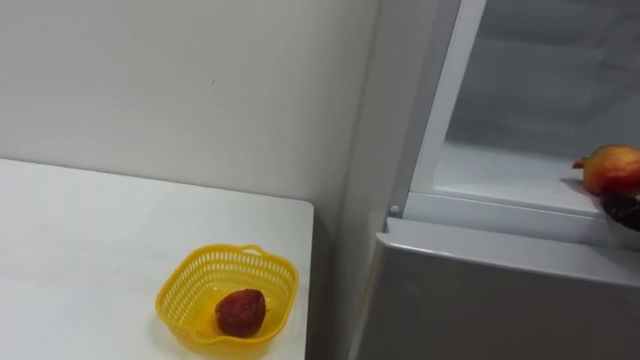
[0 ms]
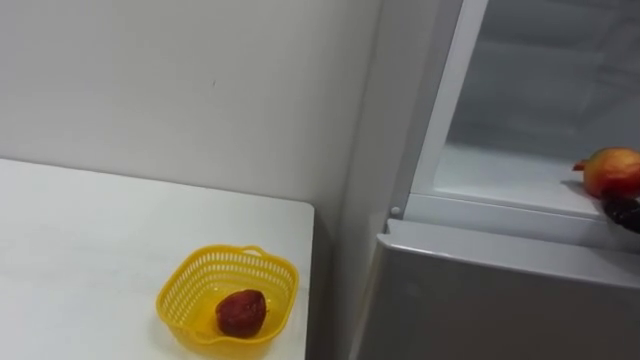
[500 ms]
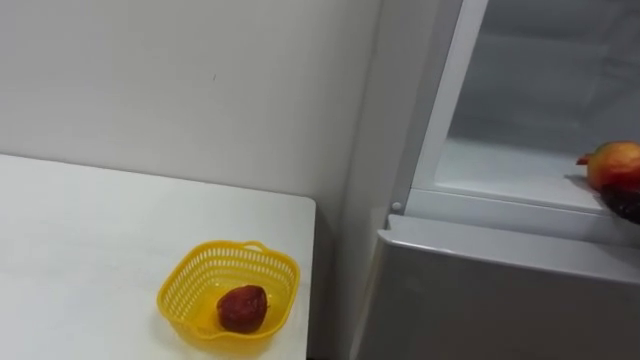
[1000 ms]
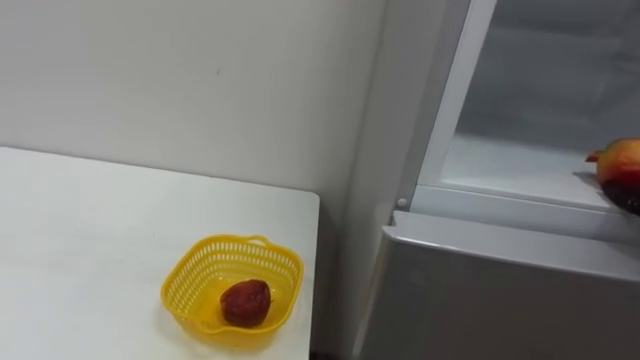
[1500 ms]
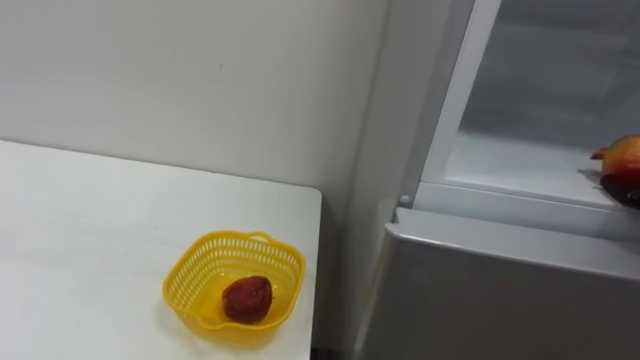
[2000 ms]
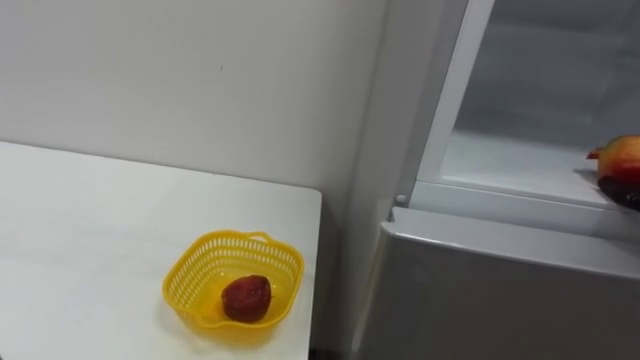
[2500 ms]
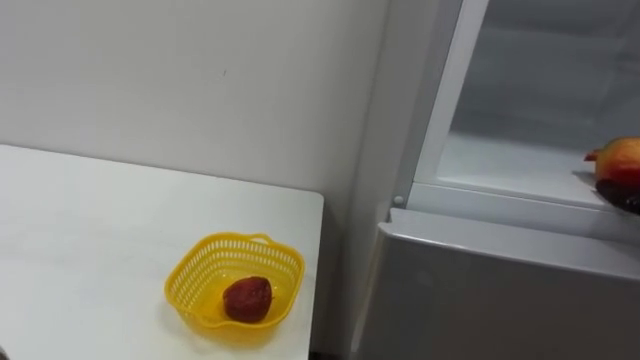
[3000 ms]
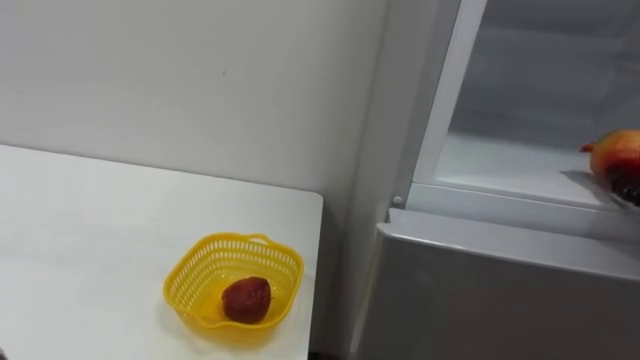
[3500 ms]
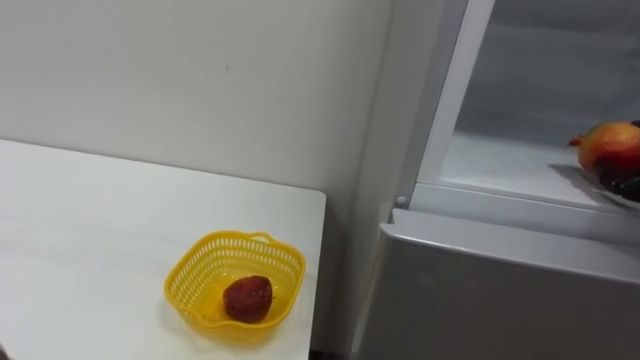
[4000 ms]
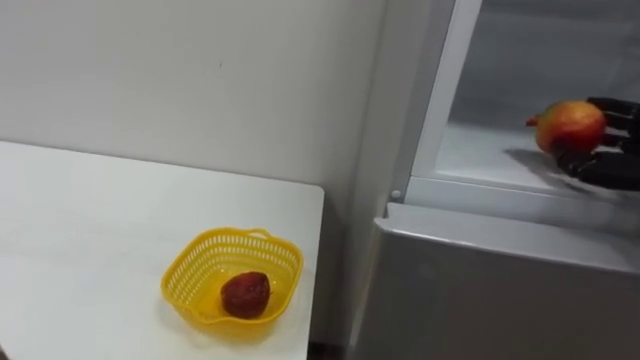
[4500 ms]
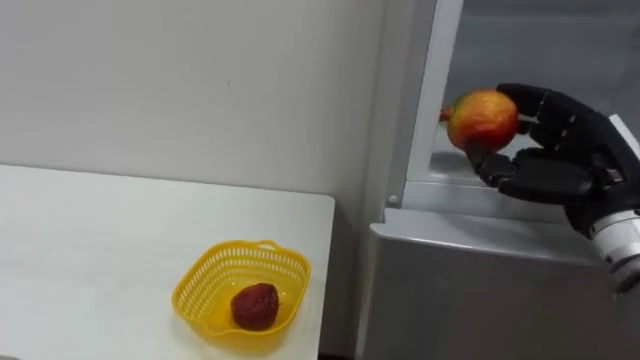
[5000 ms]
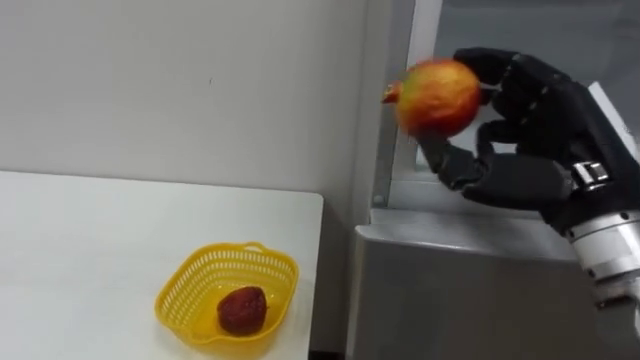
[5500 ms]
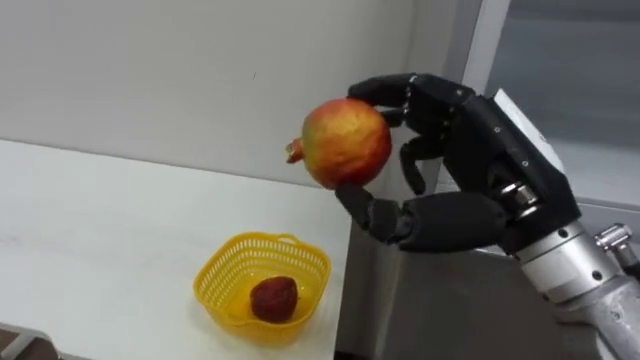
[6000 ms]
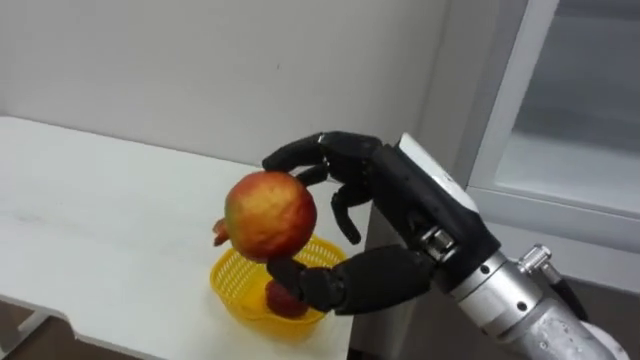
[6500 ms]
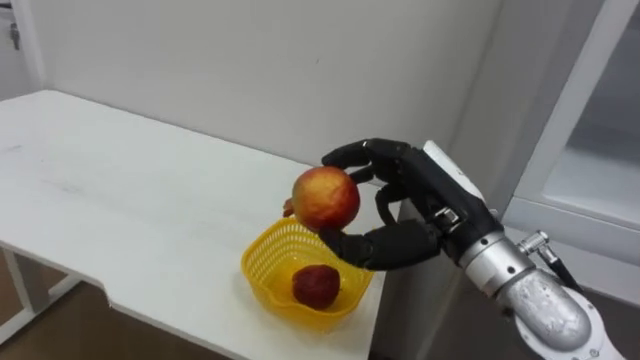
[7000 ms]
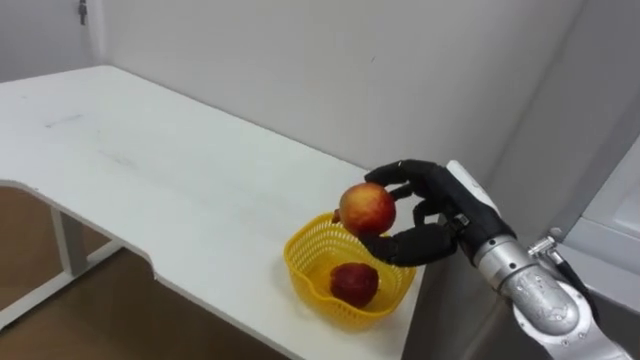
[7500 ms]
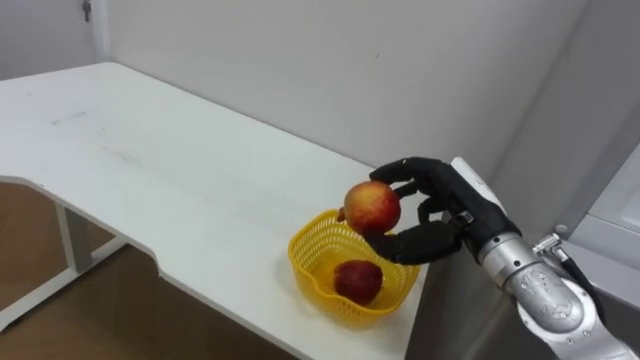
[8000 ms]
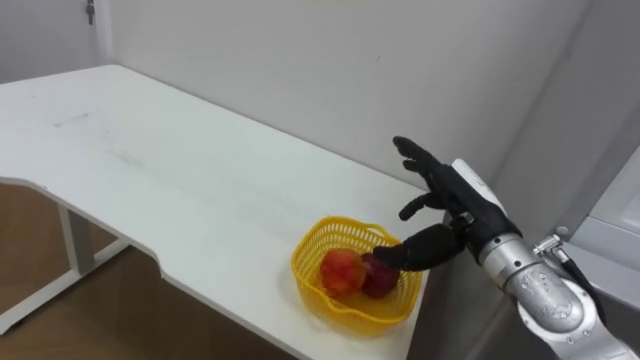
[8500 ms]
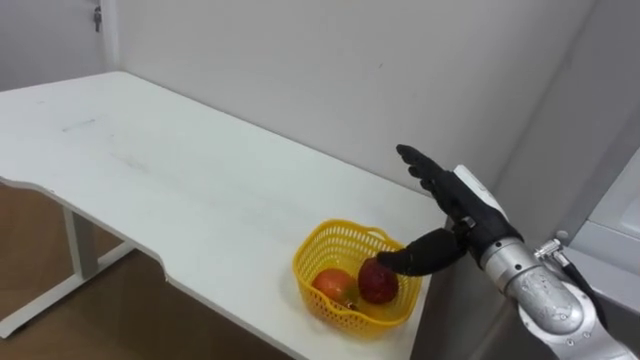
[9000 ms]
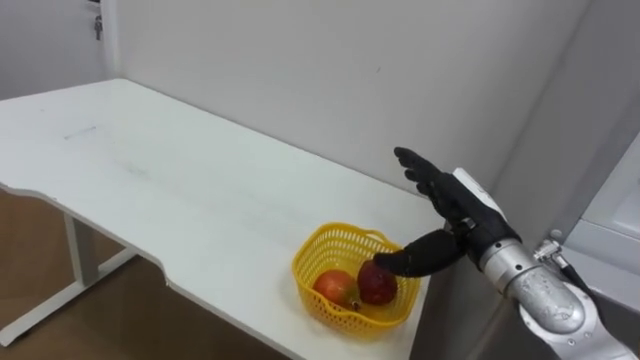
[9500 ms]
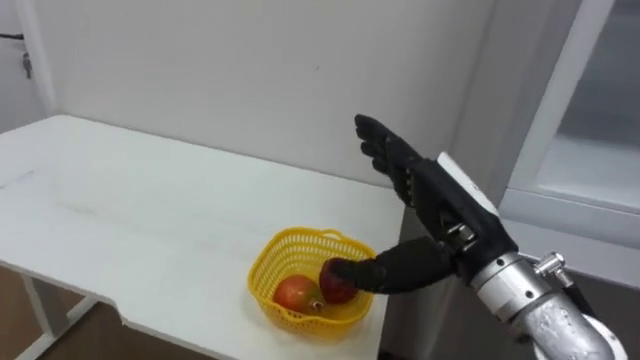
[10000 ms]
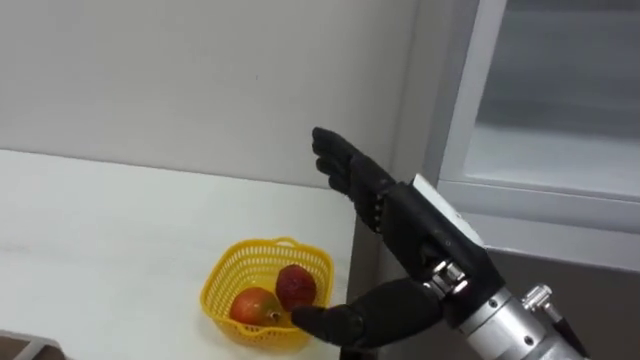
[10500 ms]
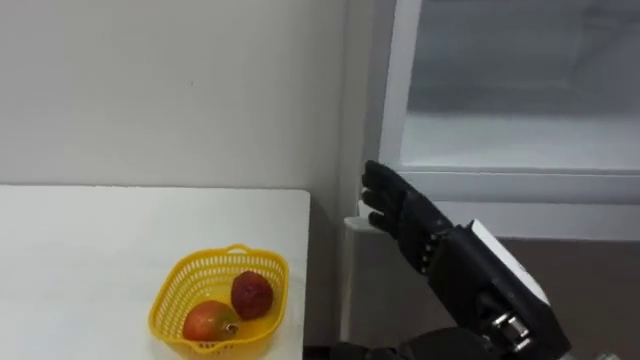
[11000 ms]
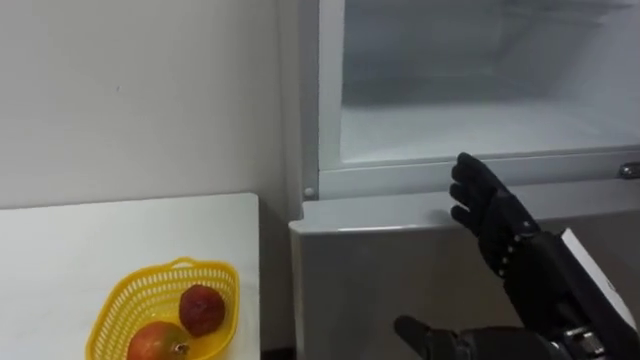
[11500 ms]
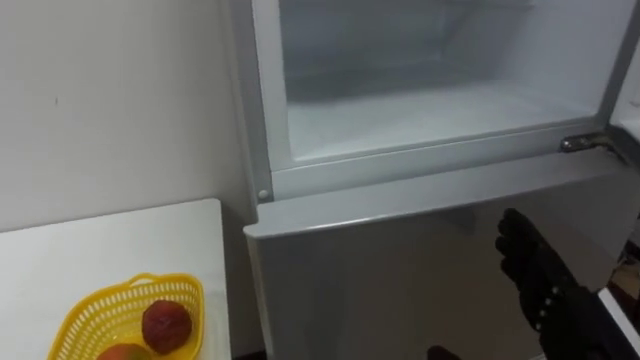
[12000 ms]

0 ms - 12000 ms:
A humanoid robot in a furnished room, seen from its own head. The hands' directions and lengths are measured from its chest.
Task of the whole recording: Open the refrigerator door, take out the apple and the pomegranate, place them in the fruit basket on the left, and close the refrigerator door.
6000 ms - 8000 ms: The right hand moves downward and forward, some 15 cm.
8000 ms - 10000 ms: The right hand moves backward, roughly 5 cm, and opens.
10000 ms - 12000 ms: The right hand heads backward, to the right and downward, covering some 15 cm.

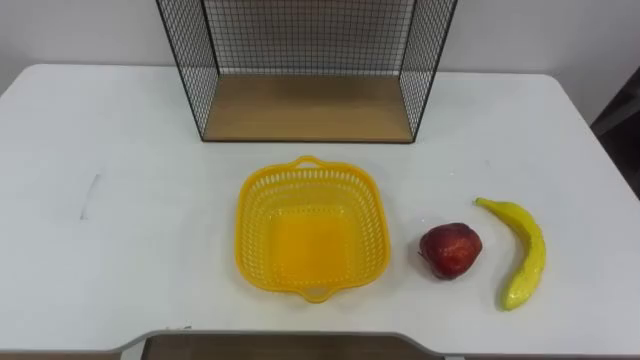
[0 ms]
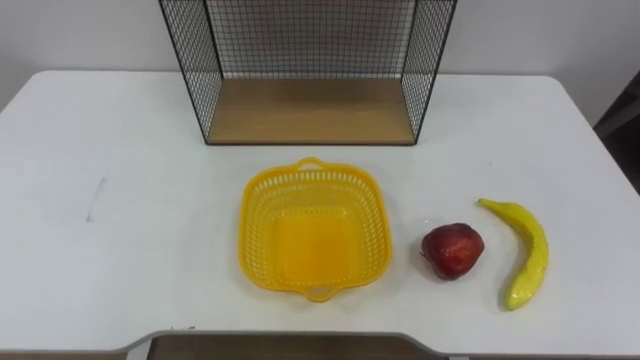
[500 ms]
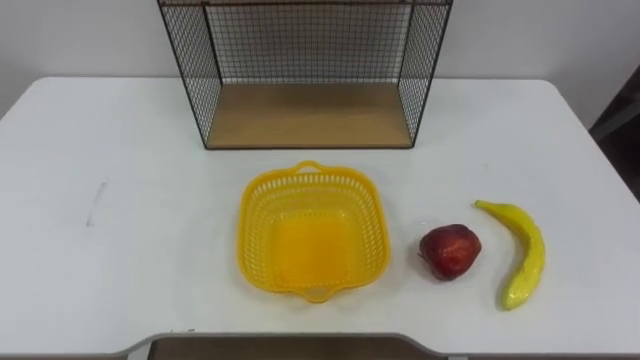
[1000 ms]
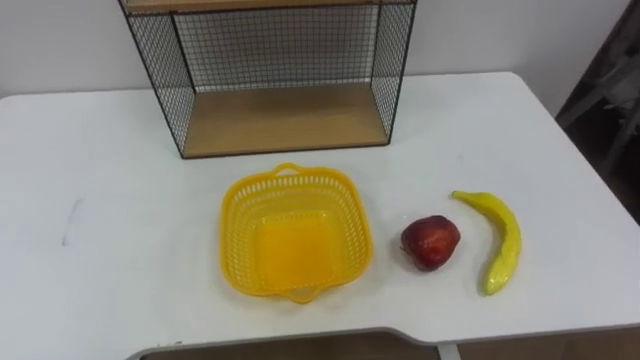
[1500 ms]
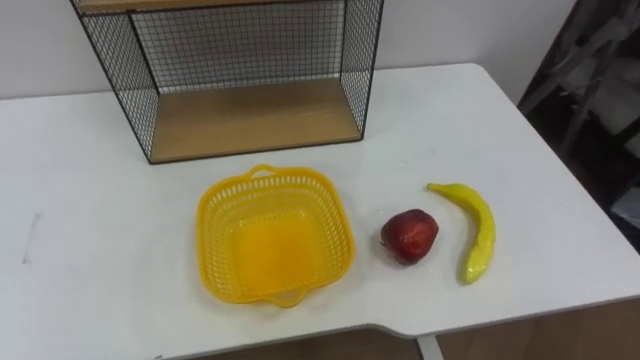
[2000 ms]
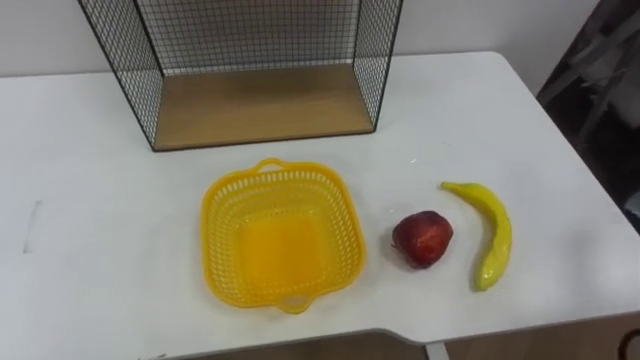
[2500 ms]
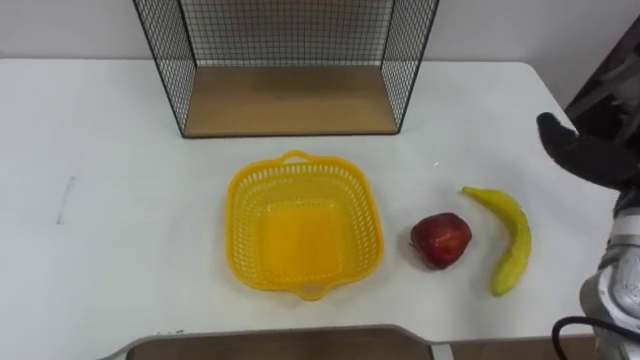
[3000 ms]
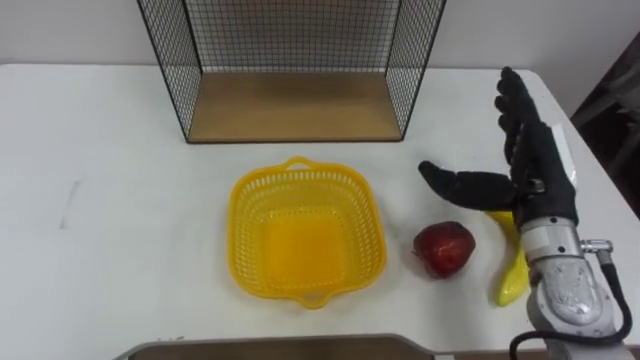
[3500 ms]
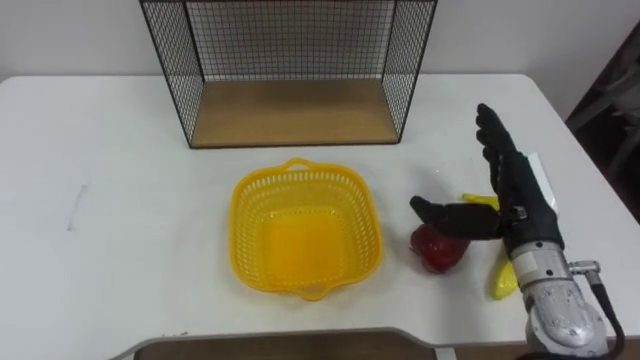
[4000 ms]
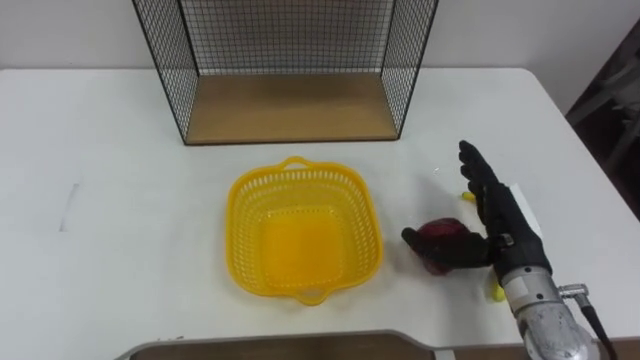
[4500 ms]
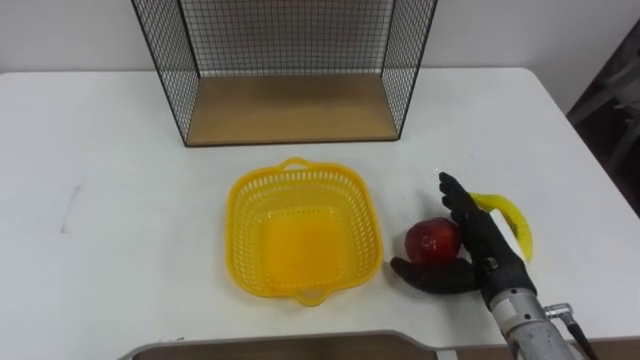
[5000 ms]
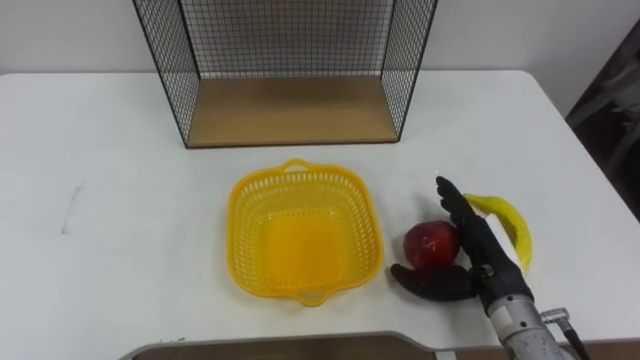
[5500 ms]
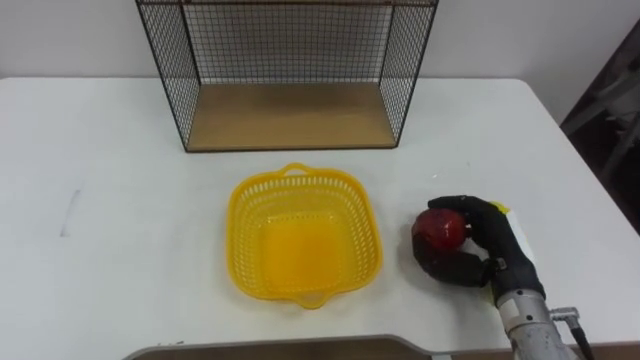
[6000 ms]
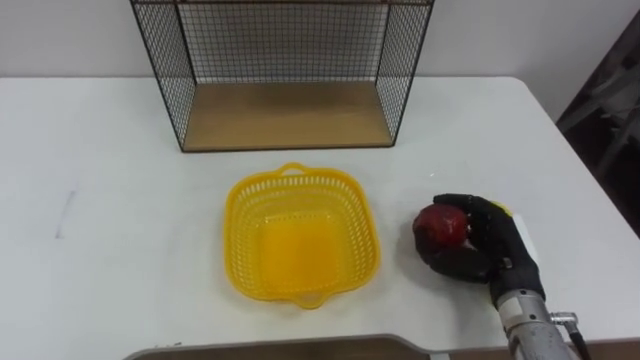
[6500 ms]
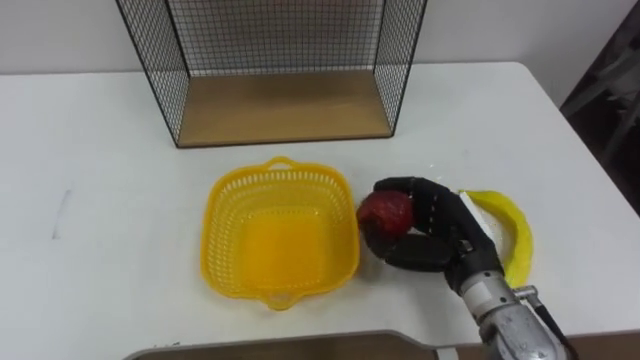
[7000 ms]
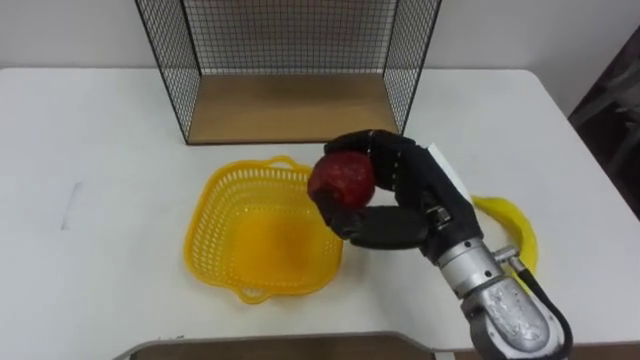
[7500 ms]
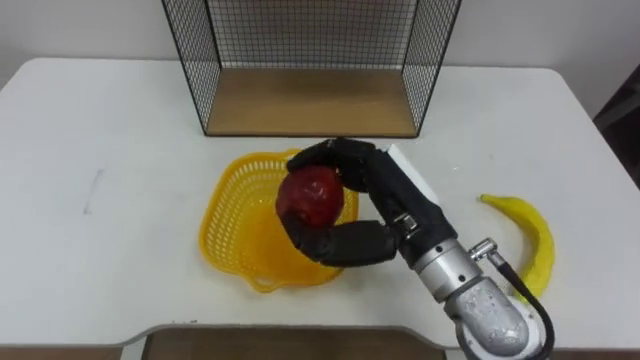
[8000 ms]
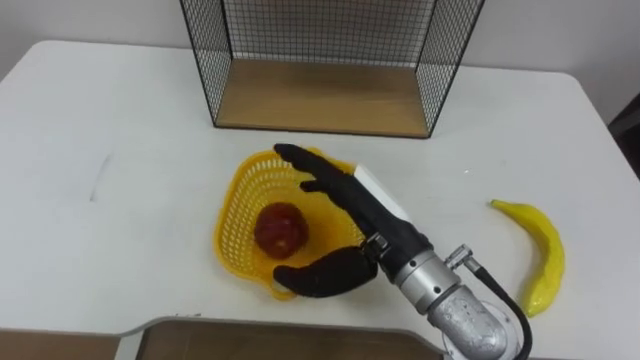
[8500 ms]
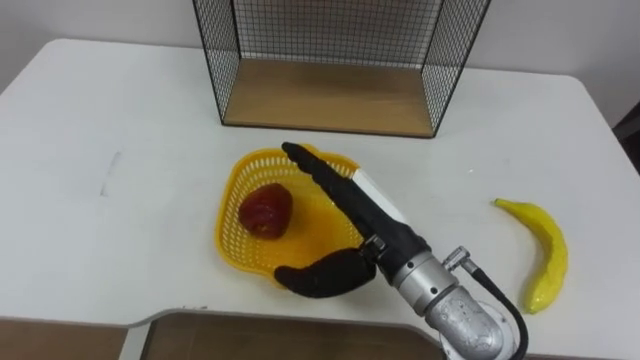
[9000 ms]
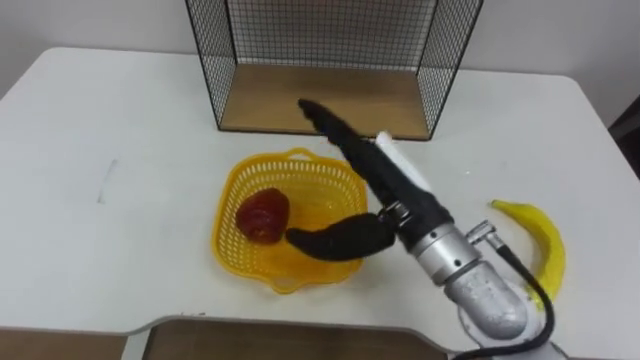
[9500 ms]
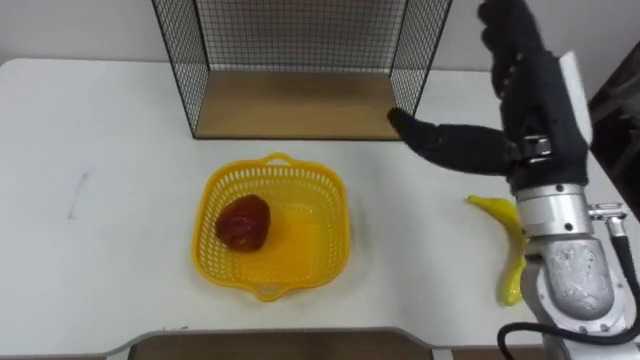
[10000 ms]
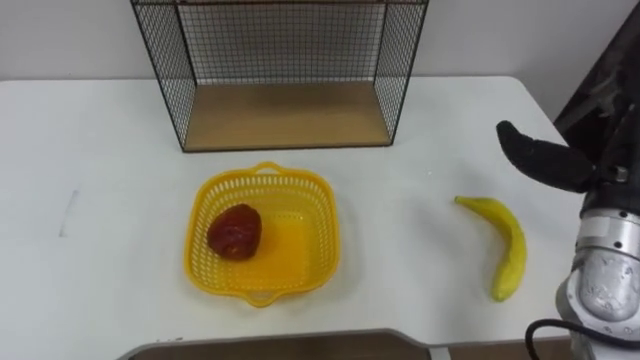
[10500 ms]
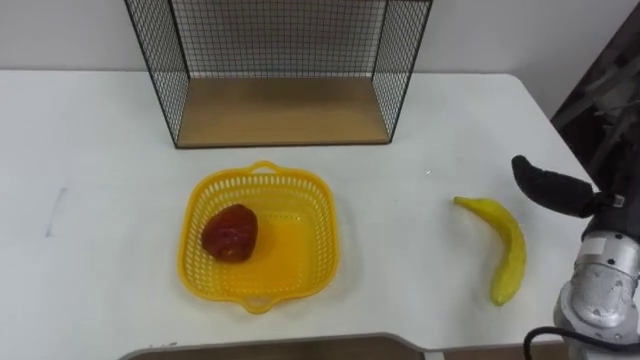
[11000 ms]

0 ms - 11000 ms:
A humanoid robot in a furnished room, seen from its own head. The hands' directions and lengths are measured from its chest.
Task of the whole recording: Put the fruit on the table into the basket, then place the basket on the shelf.
3500 ms - 5500 ms: The right hand goes approximately 10 cm downward and backward.
5500 ms - 7500 ms: The right hand shifts about 15 cm upward and to the left, and closes.
7500 ms - 9000 ms: The right hand heads to the left, covering roughly 5 cm, and opens.
9000 ms - 11000 ms: The right hand heads to the right, covering roughly 25 cm.
